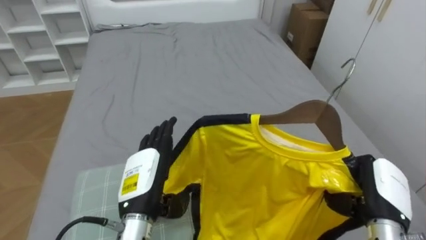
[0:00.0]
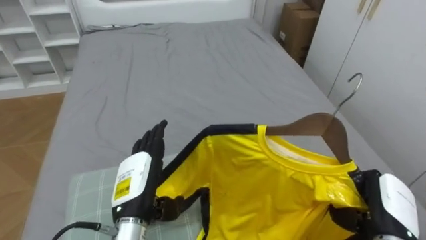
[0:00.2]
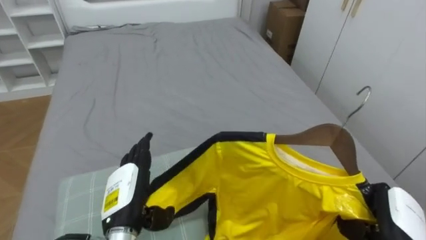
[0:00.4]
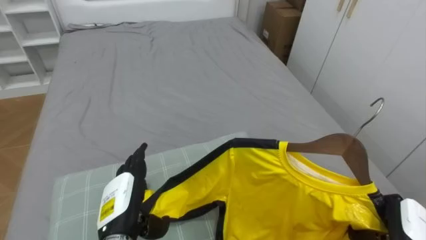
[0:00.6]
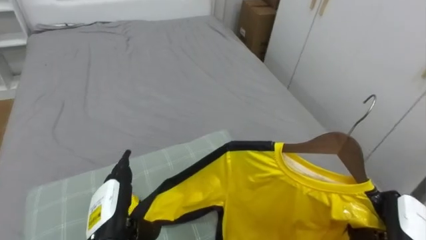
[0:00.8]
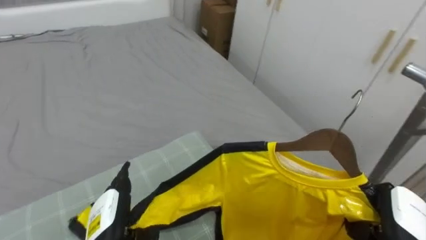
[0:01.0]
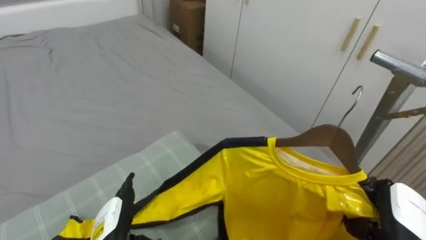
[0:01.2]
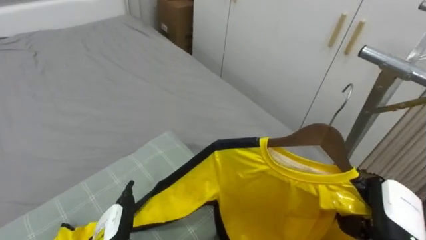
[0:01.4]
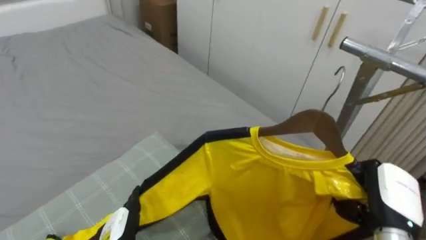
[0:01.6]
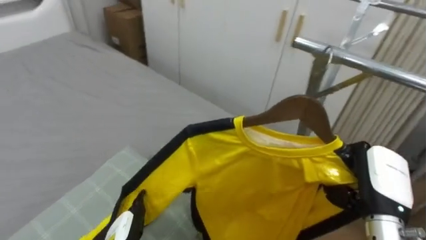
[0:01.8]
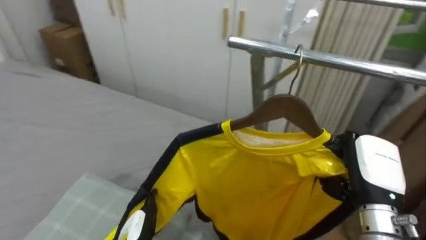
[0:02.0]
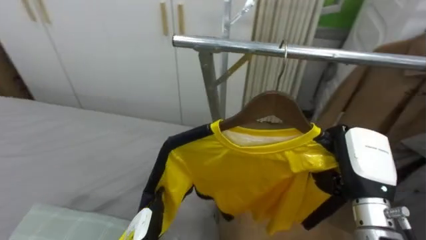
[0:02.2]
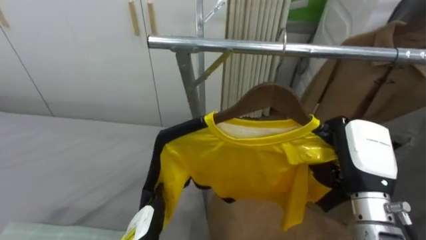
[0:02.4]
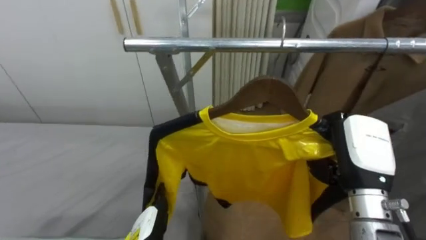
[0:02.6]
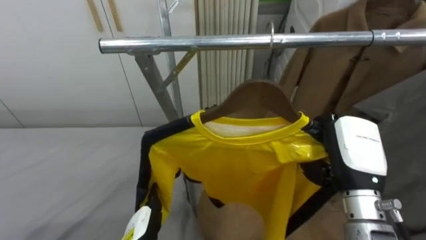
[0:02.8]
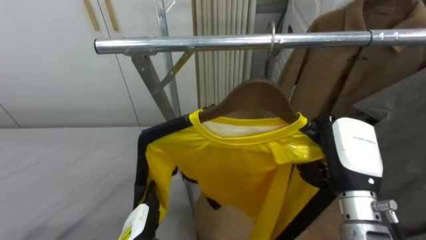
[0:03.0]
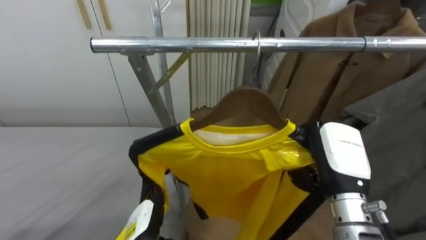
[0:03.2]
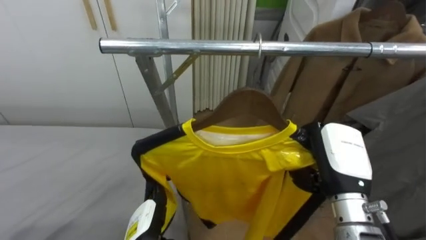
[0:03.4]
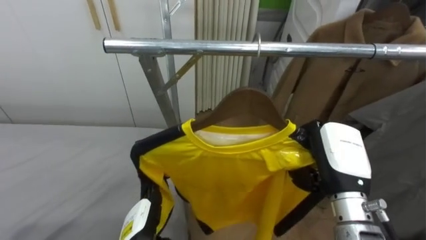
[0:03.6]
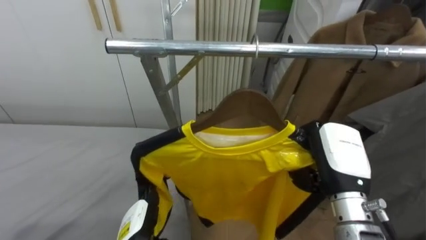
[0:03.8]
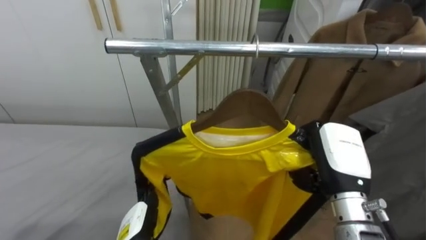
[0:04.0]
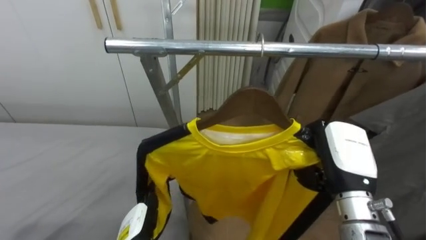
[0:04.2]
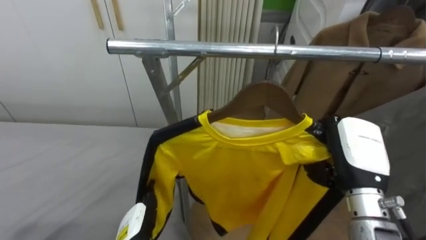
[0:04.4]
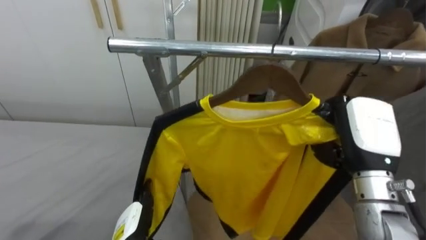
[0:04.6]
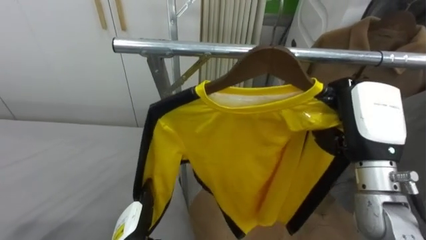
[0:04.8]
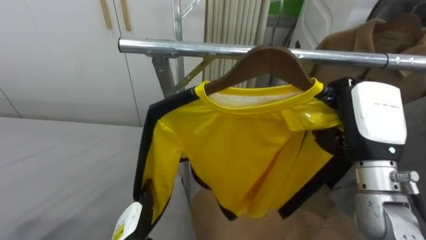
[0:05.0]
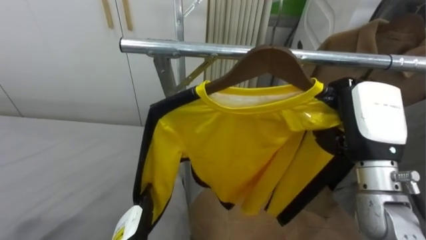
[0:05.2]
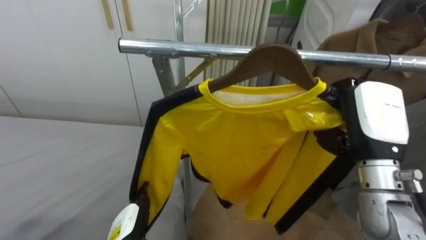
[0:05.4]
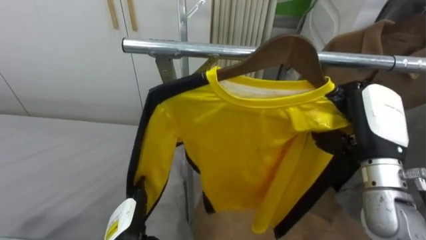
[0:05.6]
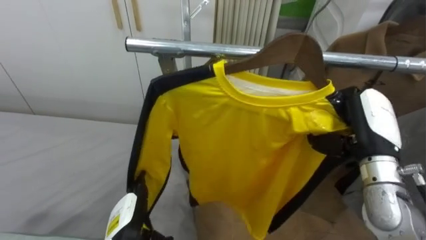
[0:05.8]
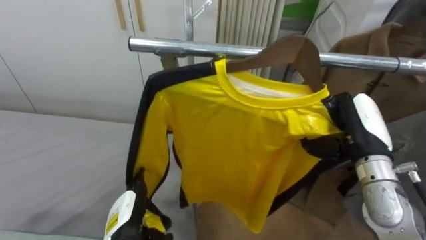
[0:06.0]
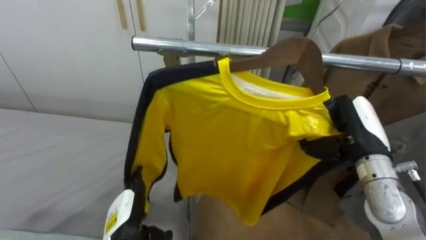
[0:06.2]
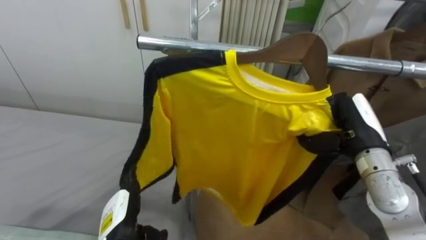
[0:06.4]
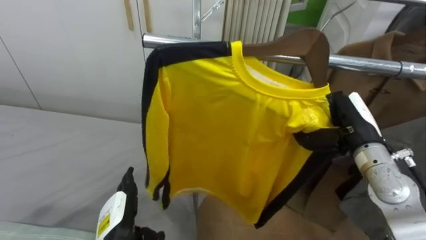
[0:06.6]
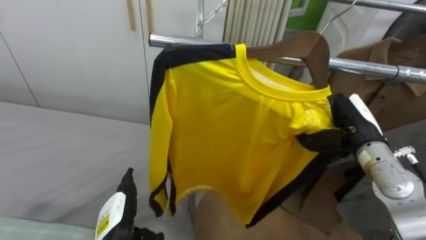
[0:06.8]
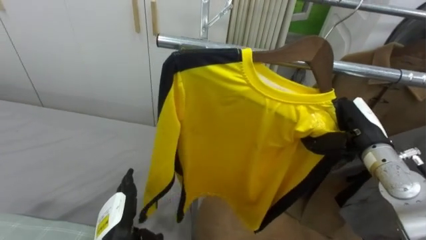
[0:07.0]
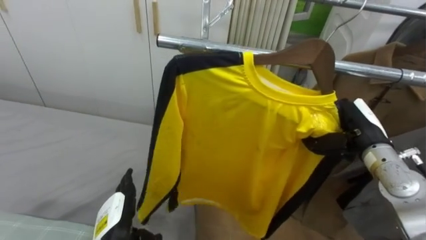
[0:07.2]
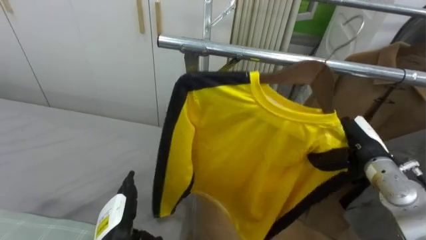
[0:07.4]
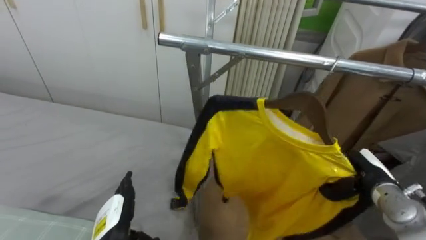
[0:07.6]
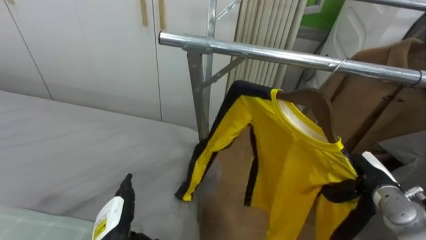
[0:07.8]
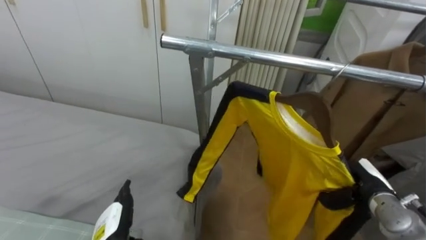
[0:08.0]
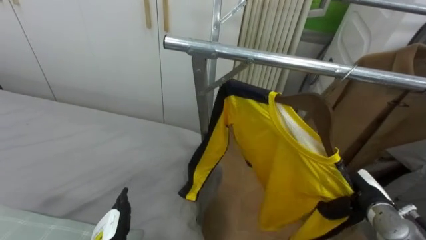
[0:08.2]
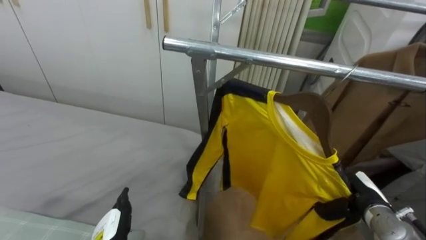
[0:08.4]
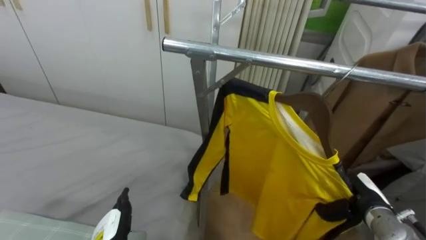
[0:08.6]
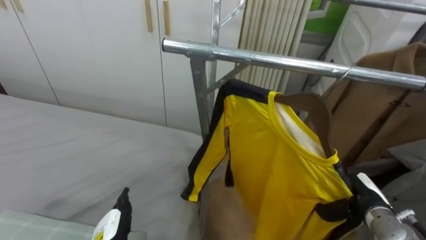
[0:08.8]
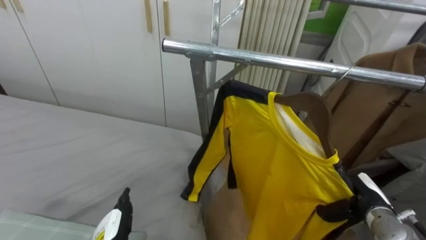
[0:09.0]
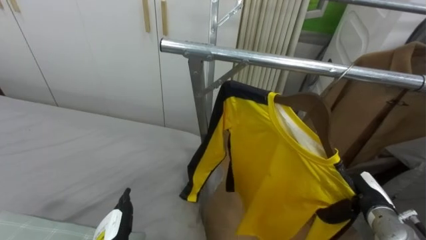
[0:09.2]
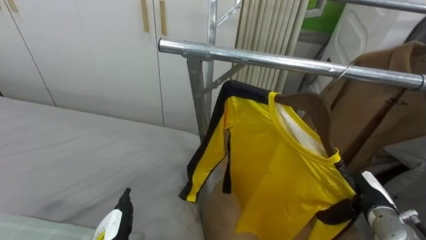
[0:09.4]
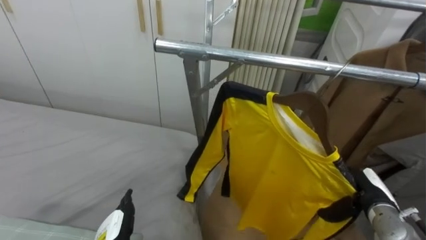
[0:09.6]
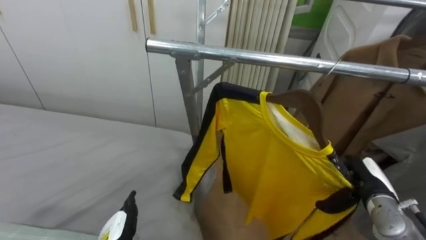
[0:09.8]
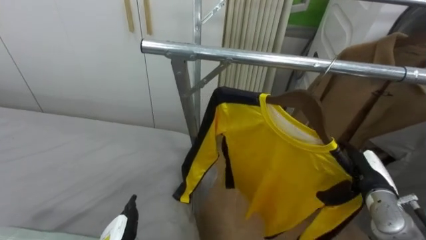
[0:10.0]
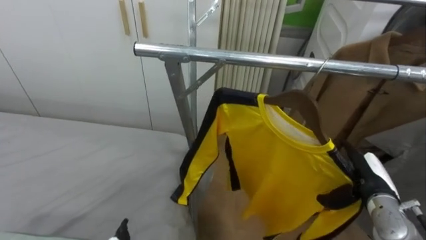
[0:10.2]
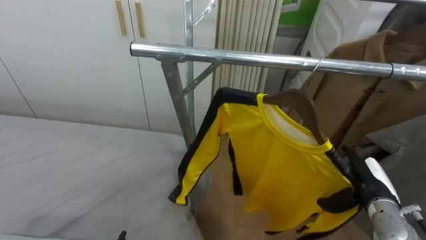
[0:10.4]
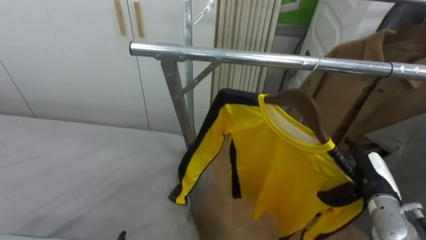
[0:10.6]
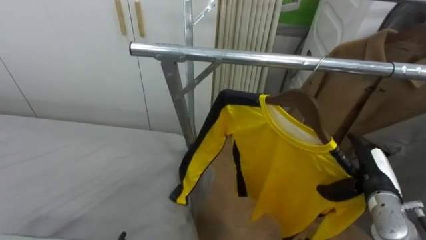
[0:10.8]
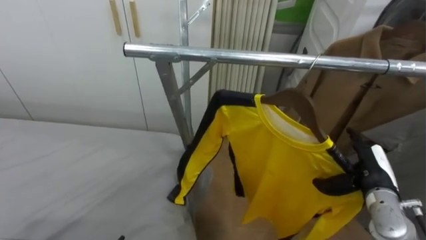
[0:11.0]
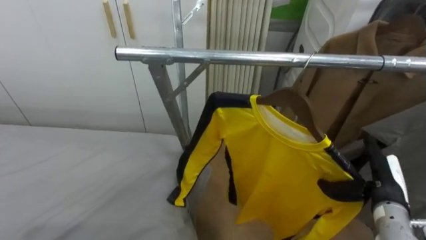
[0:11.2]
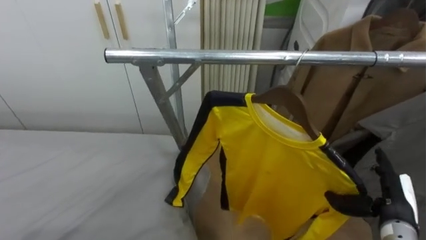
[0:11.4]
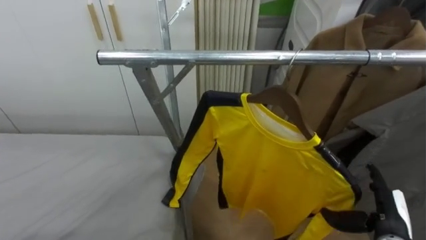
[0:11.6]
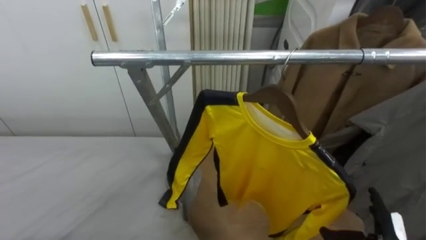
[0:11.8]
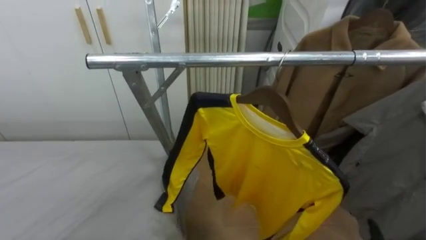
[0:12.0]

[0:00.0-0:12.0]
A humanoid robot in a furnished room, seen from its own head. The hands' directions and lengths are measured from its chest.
Task of the whole recording: Pick up the yellow shirt on the bed and hang it on the clothes rack on the right.
0:00.0 to 0:01.6: The robot turns to its right by about 35 degrees.
0:01.6 to 0:03.0: The robot faces roughly 50 degrees further to its right. The right hand goes roughly 10 cm upward and to the left.
0:06.0 to 0:07.6: The right hand shifts approximately 15 cm downward and to the right.
0:07.6 to 0:09.0: The right hand moves roughly 5 cm.
0:09.0 to 0:10.4: The right hand opens.

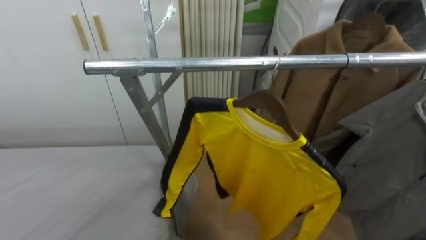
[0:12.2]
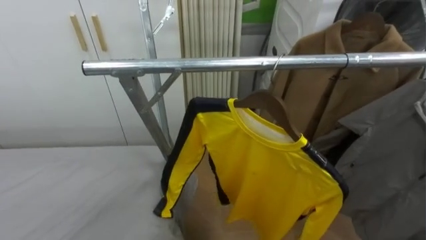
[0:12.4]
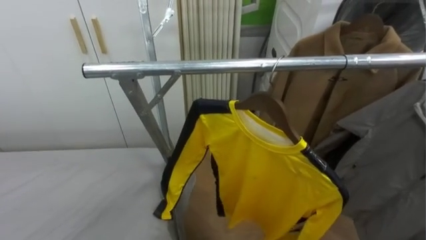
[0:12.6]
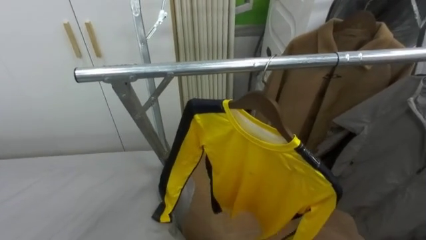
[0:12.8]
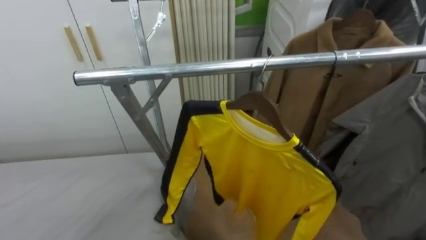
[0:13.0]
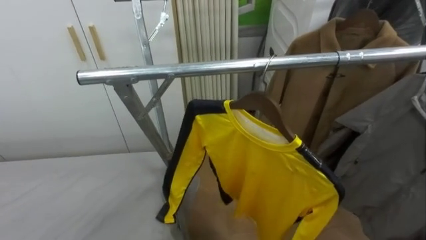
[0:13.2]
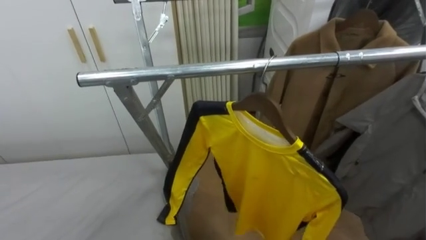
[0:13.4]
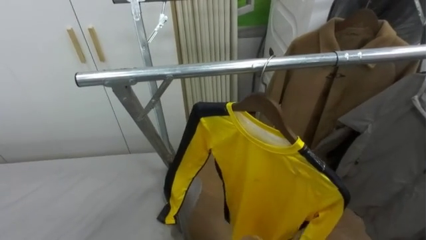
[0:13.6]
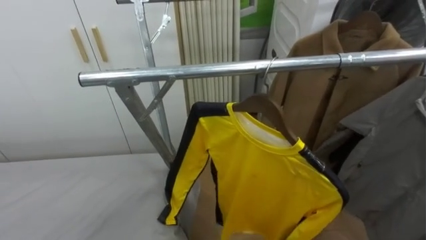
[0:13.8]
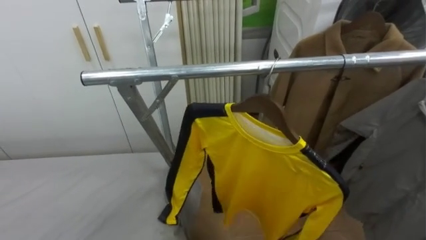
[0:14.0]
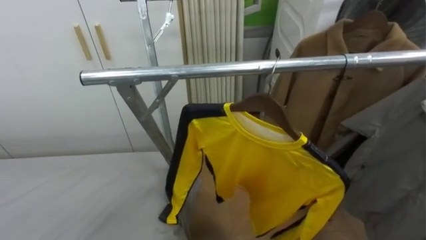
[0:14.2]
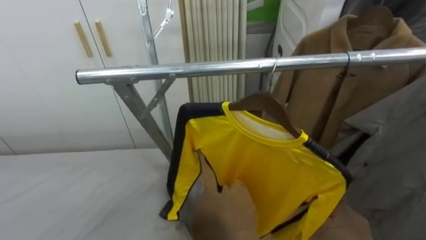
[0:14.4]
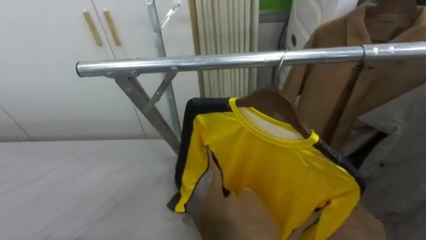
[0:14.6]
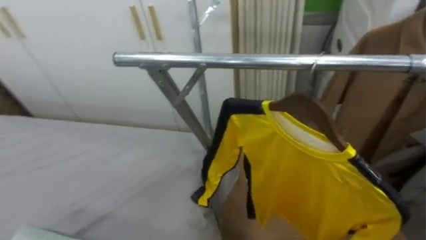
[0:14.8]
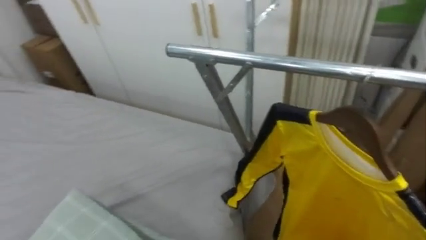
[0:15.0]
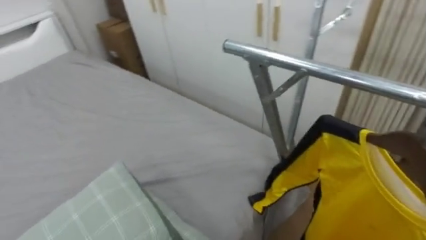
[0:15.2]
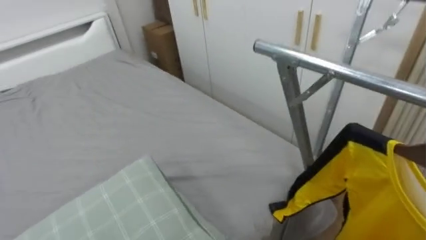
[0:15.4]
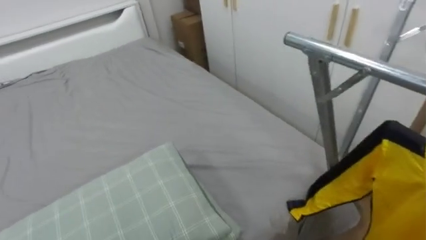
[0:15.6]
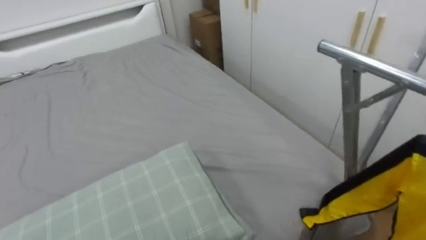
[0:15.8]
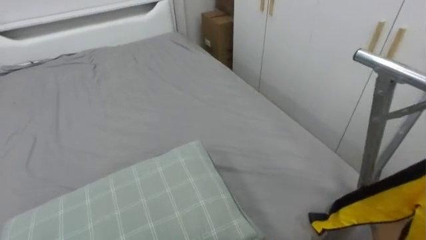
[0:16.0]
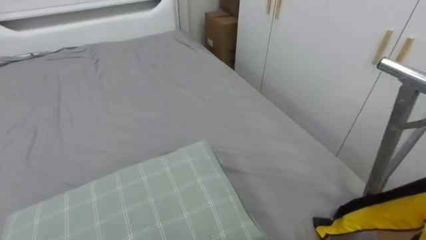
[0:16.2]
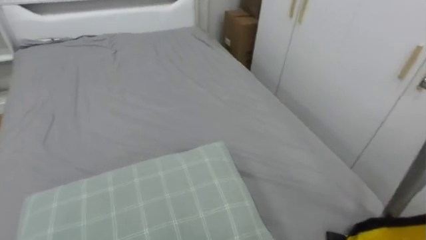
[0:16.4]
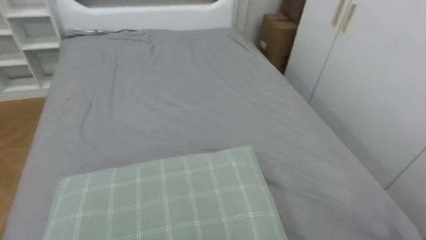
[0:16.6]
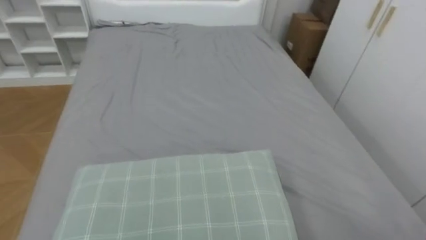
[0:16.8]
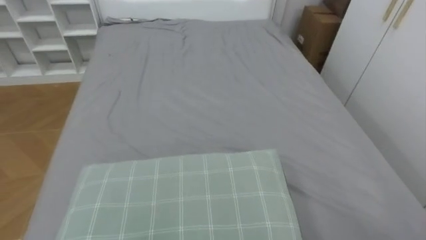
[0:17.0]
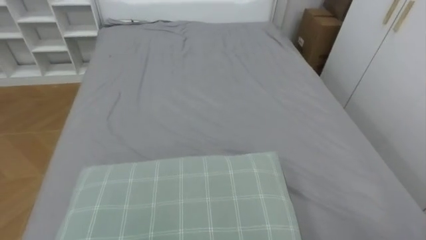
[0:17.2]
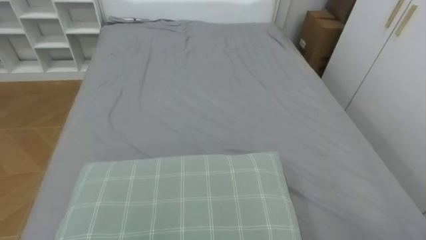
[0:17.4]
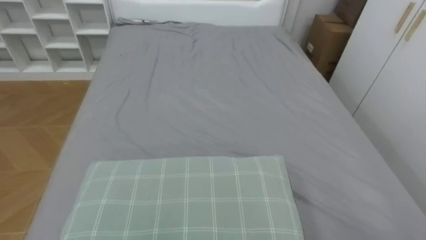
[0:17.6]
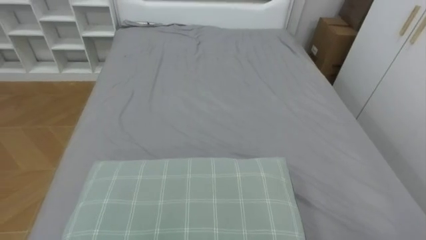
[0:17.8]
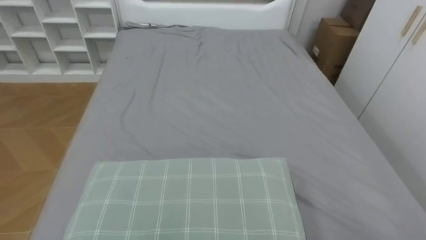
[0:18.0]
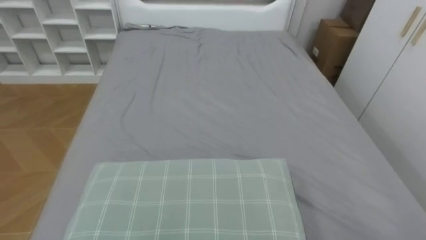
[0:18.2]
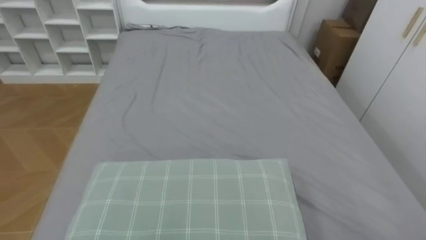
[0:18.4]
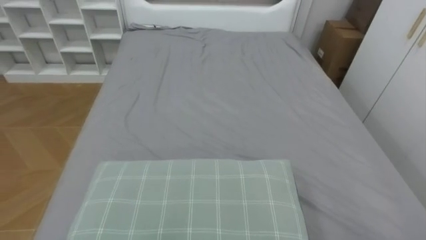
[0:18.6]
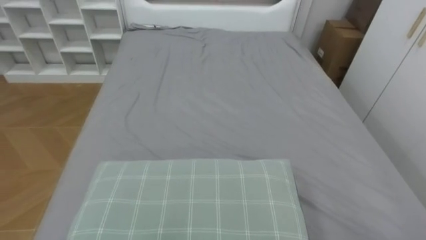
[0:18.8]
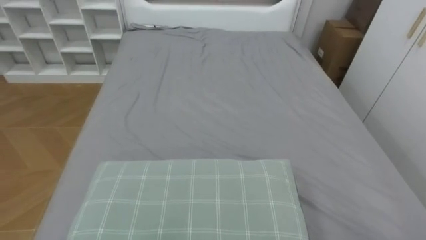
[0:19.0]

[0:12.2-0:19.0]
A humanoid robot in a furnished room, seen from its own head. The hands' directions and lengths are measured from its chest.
Task of the whole recording: Pick up the yellow shirt on the bed and hang it on the clothes rack on the right.
0:13.6 to 0:15.0: The robot faces roughly 30 degrees further to its left.
0:15.0 to 0:16.2: The robot's body swings roughly 35 degrees to its left.
0:16.2 to 0:17.6: The robot faces about 25 degrees further to its left.
